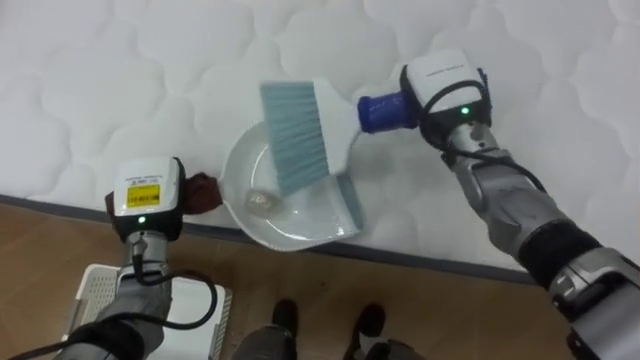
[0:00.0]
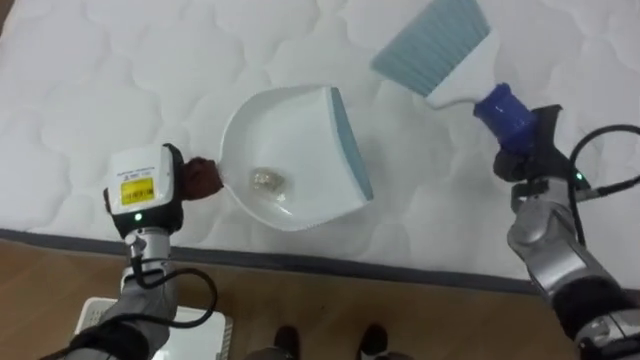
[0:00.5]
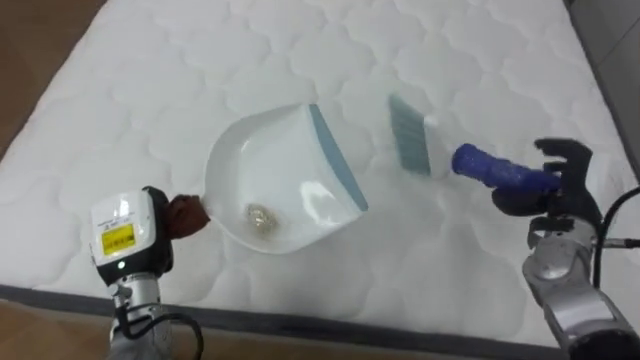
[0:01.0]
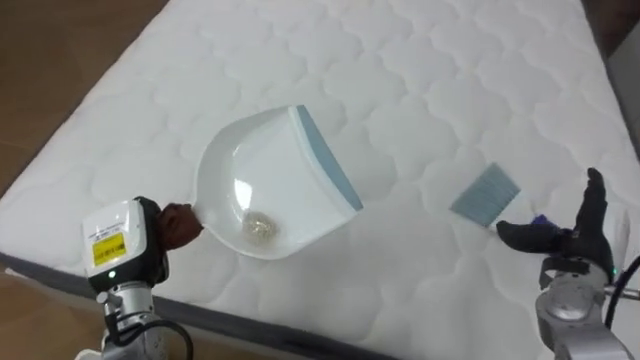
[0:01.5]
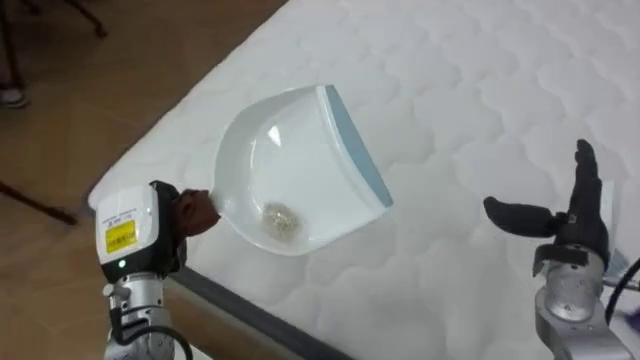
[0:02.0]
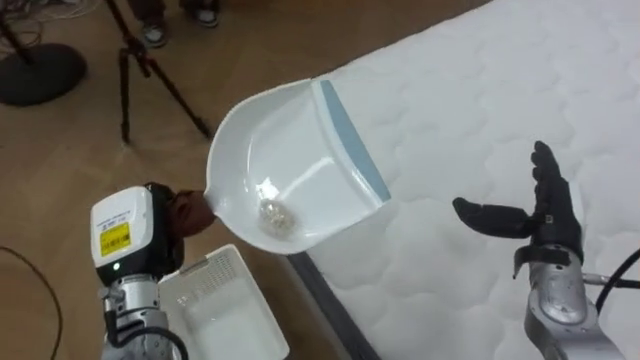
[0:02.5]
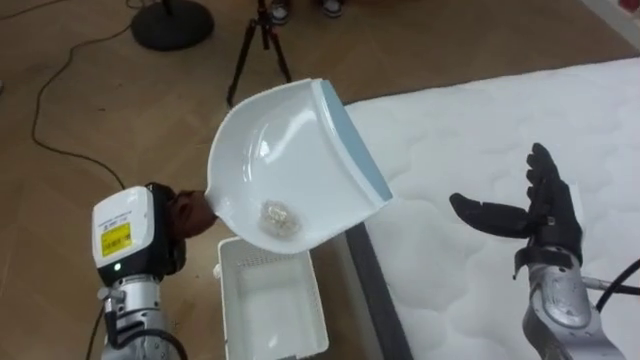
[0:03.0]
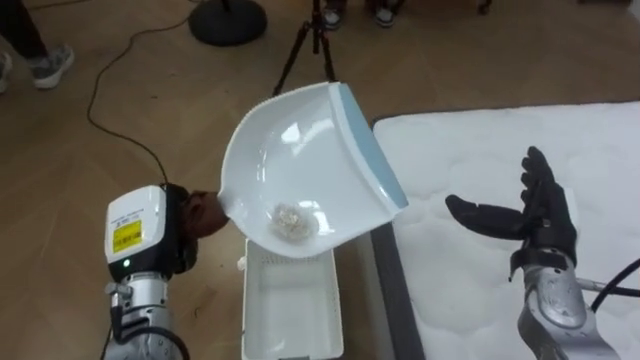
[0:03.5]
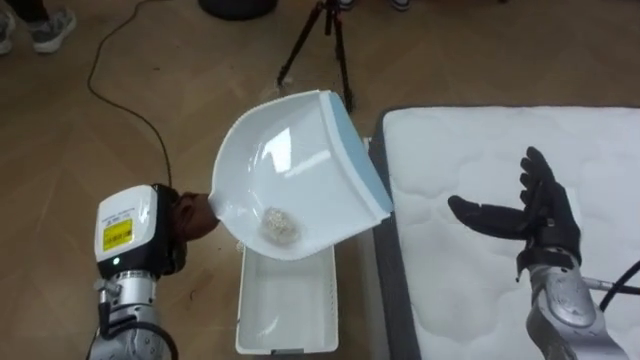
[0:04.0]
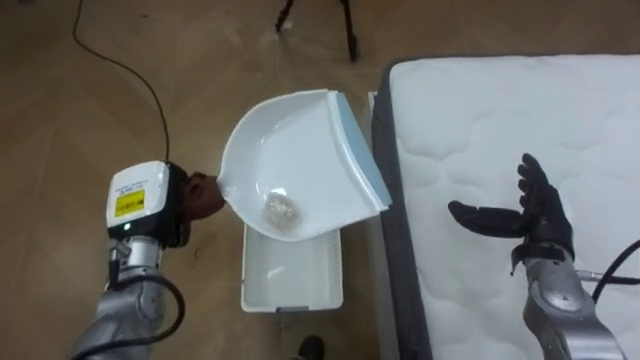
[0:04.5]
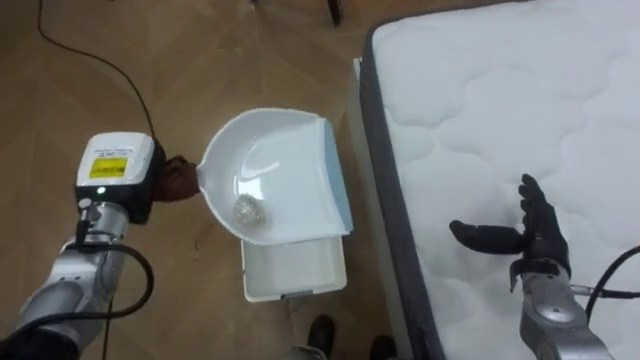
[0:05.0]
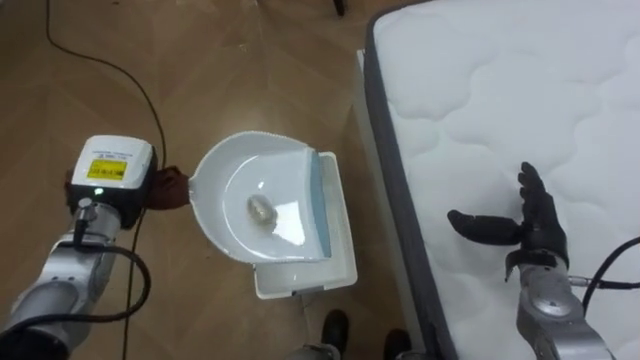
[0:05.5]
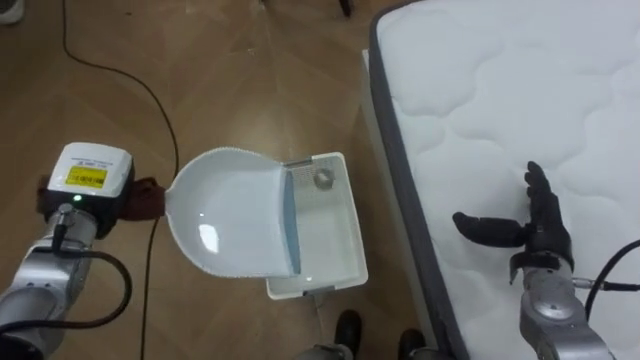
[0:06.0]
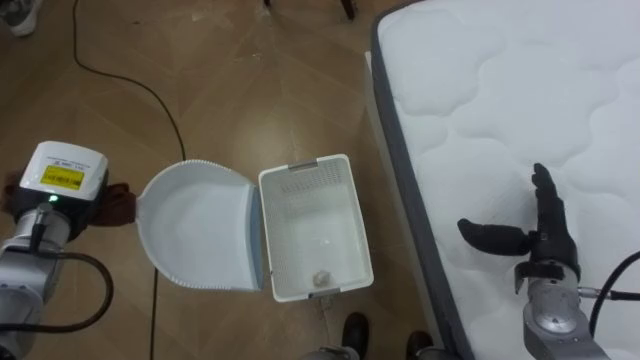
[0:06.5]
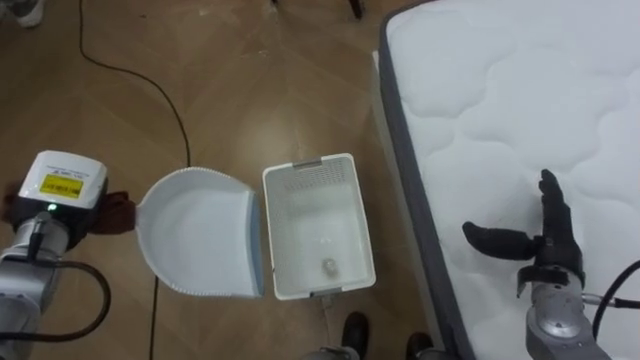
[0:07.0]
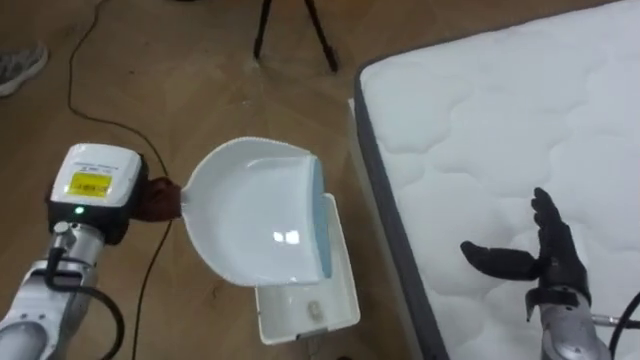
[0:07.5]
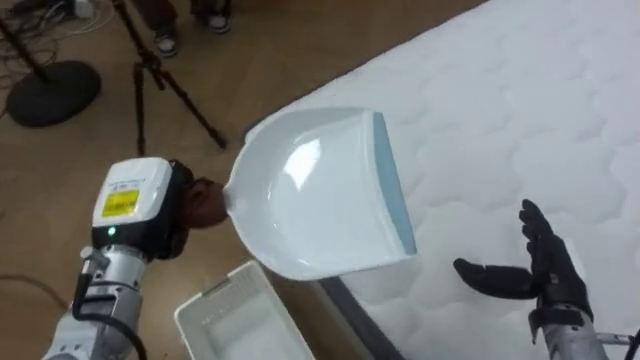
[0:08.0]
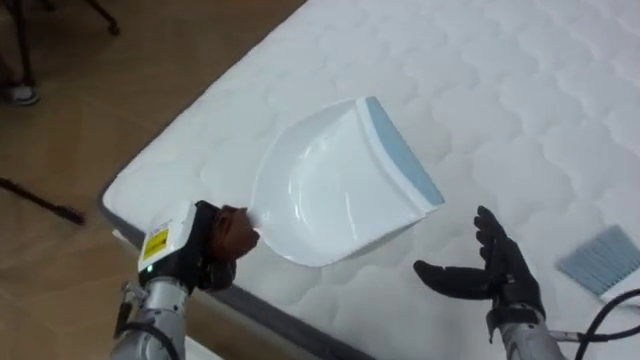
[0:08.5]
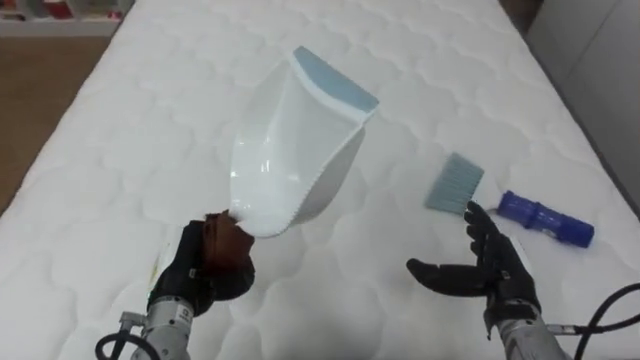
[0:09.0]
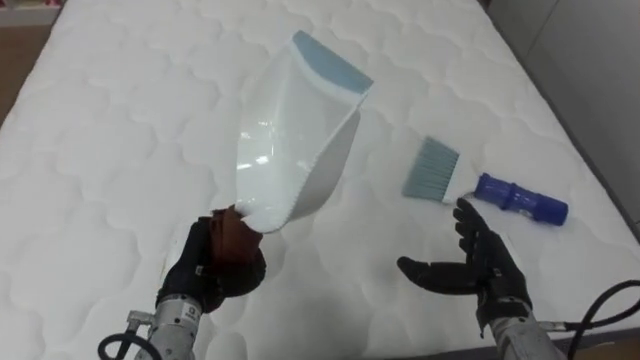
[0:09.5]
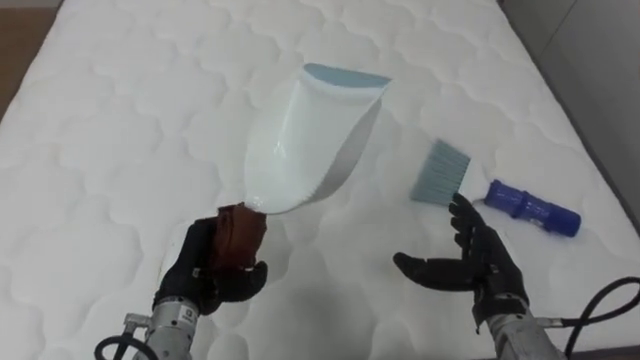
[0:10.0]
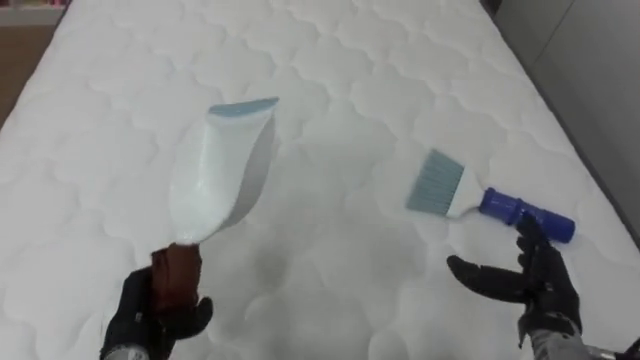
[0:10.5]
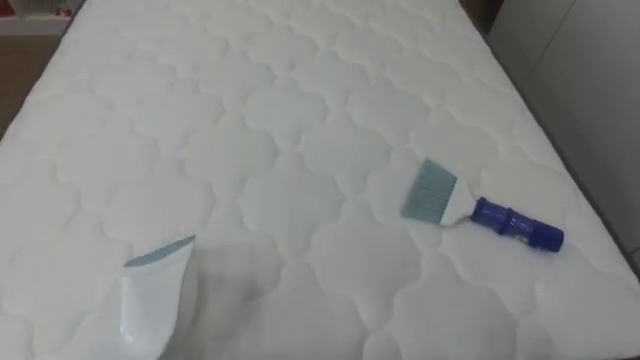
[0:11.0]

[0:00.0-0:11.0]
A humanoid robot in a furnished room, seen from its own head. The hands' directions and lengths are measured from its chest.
Task of the whole recording: Pick up the brush on your right and the dustpan on your left. Use the brush to sweep the crumpled paper on the bed into the dustpan, then turn left and empty it into the basket.
0:00.0 to 0:02.0: The robot turns to its left by about 30 degrees. The left hand is displaced backward by roughly 5 cm; the right hand travels to the right, backward and downward by roughly 25 cm, and opens up.
0:02.0 to 0:03.5: The robot's body swings approximately 55 degrees to its left.
0:03.5 to 0:05.5: The left hand heads forward, covering roughly 5 cm.
0:07.5 to 0:09.0: The robot's body swings approximately 75 degrees to its right. The right hand heads to the left, covering approximately 5 cm. The left hand goes approximately 15 cm to the right, downward and backward.

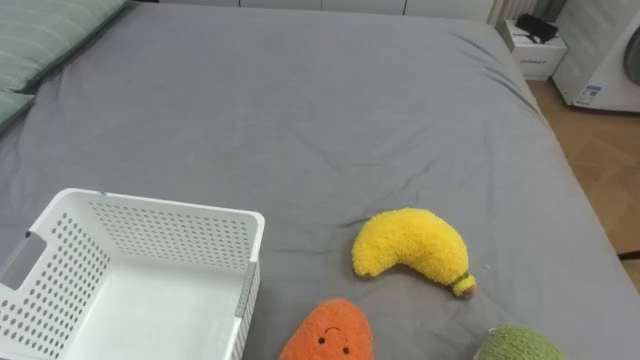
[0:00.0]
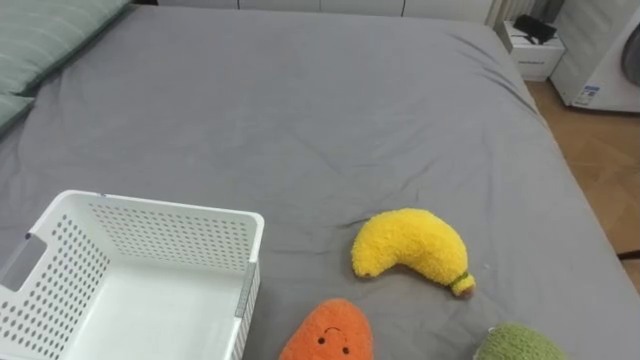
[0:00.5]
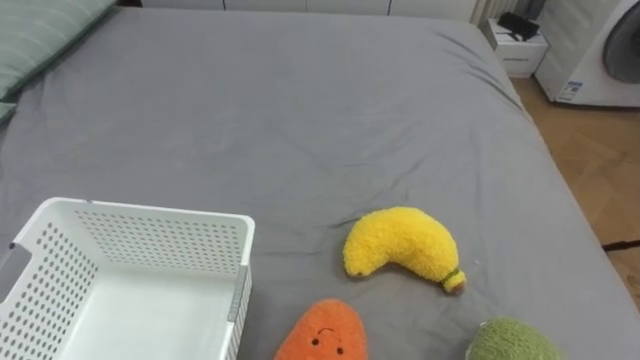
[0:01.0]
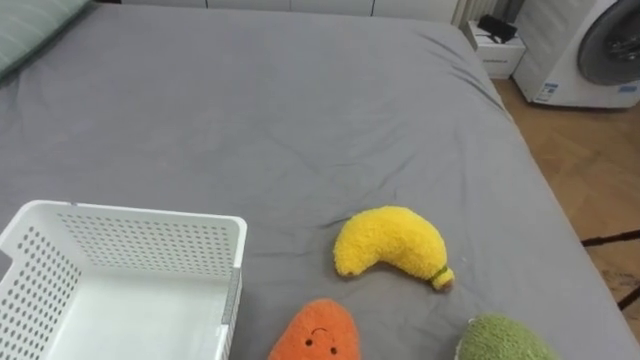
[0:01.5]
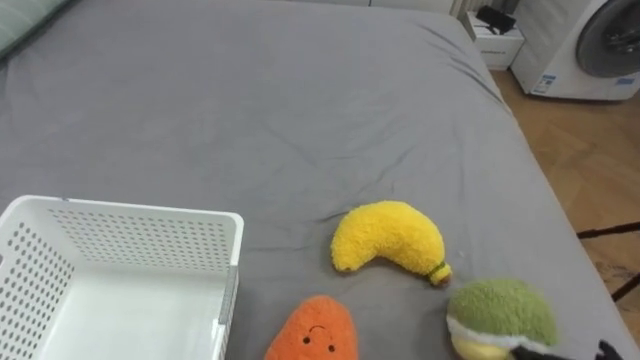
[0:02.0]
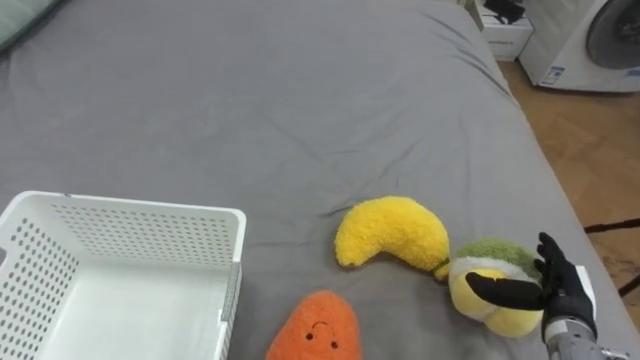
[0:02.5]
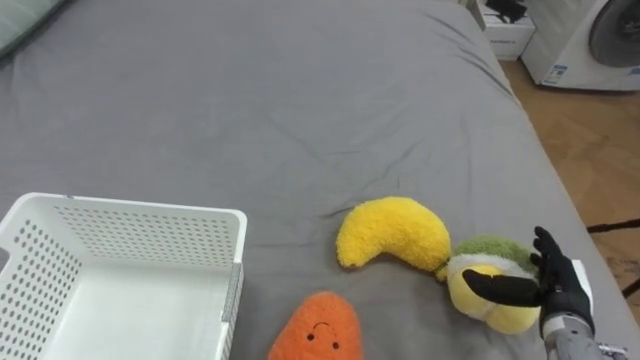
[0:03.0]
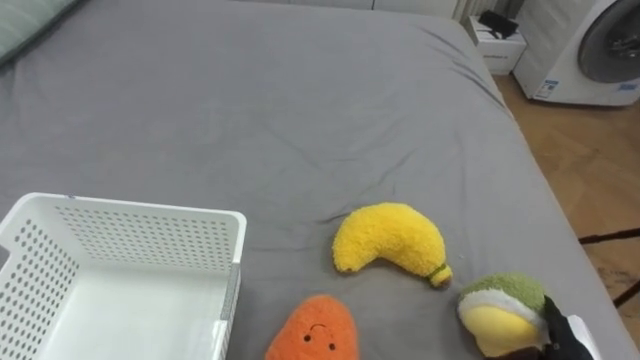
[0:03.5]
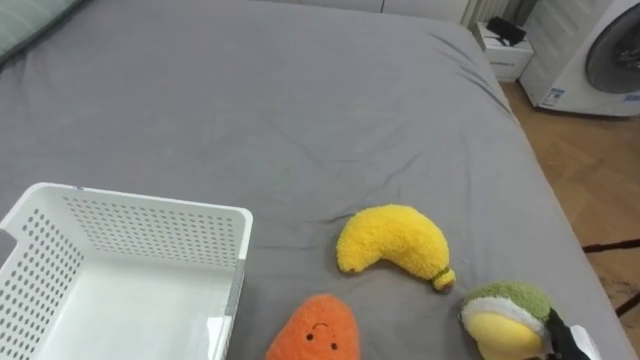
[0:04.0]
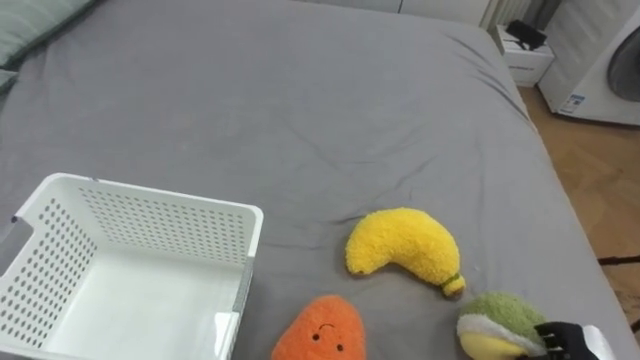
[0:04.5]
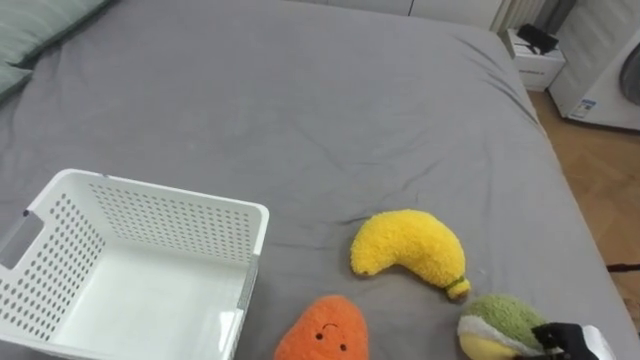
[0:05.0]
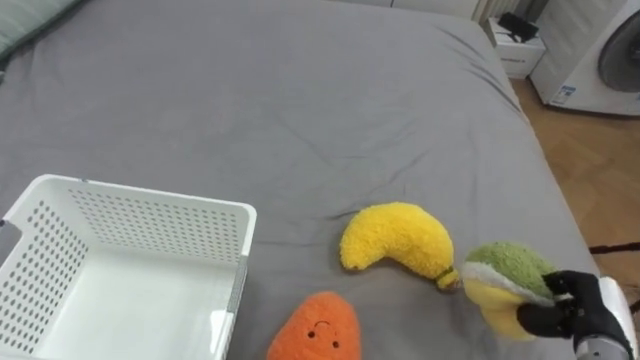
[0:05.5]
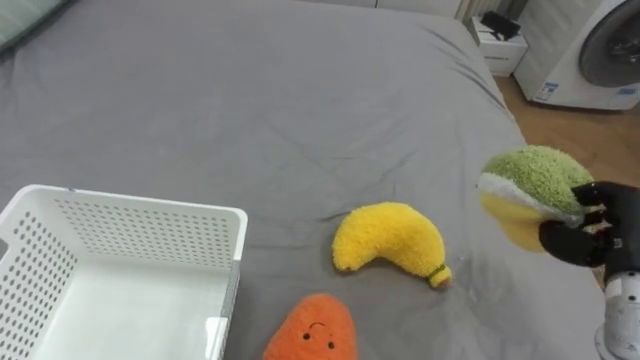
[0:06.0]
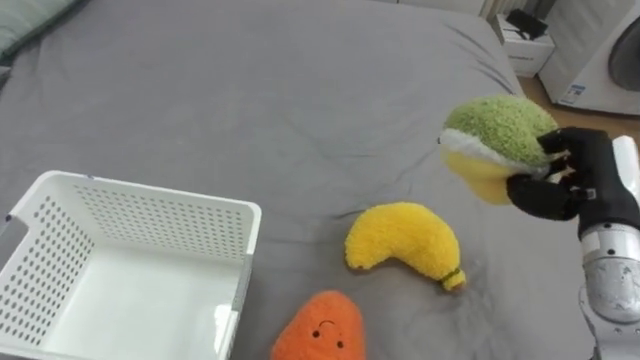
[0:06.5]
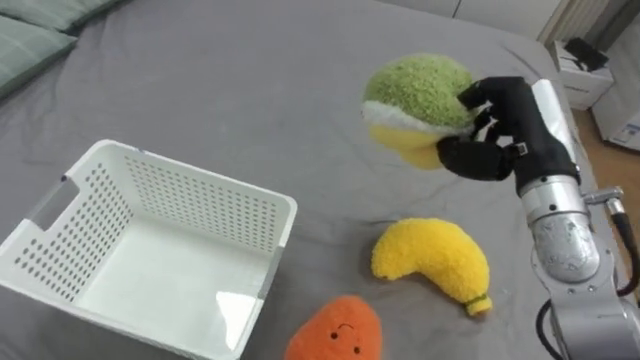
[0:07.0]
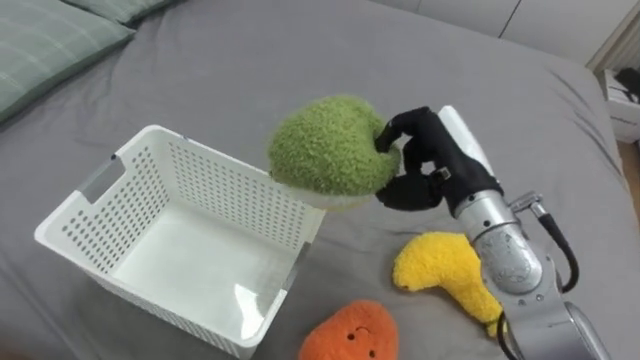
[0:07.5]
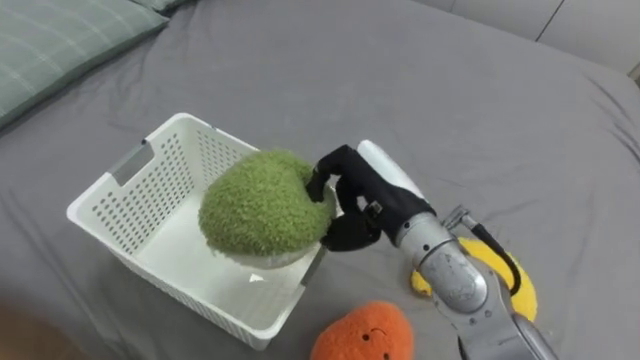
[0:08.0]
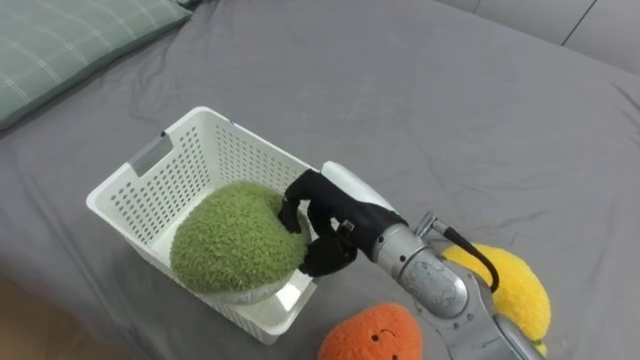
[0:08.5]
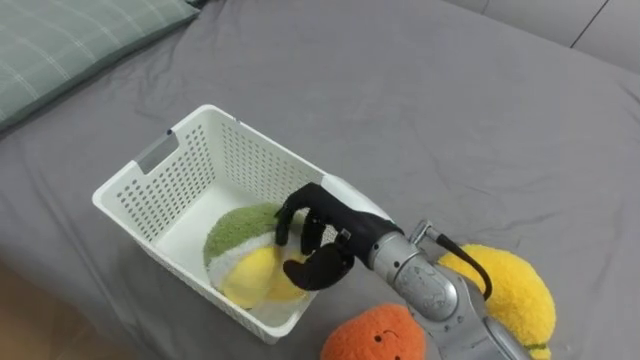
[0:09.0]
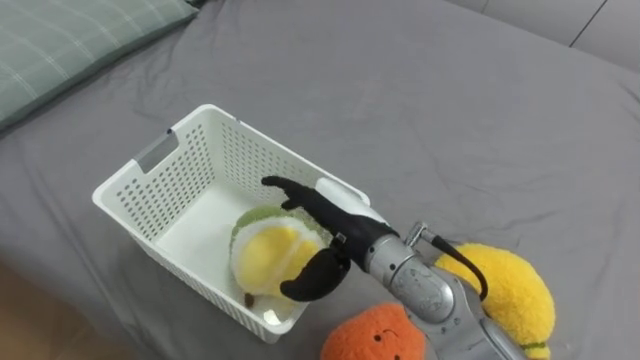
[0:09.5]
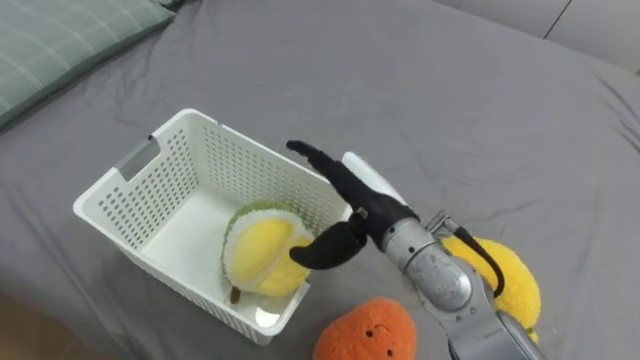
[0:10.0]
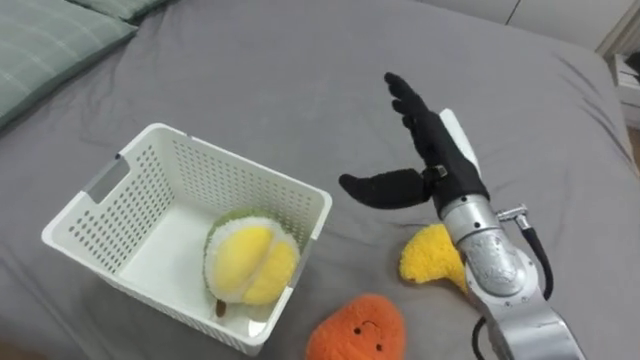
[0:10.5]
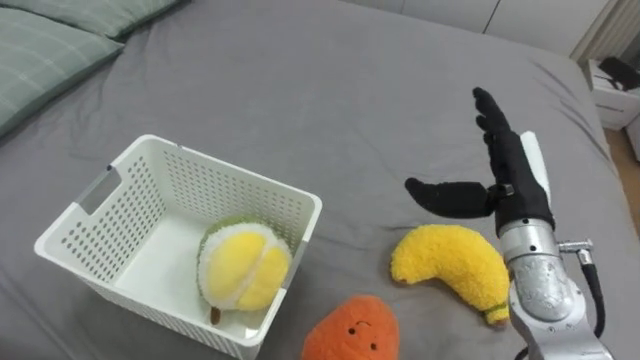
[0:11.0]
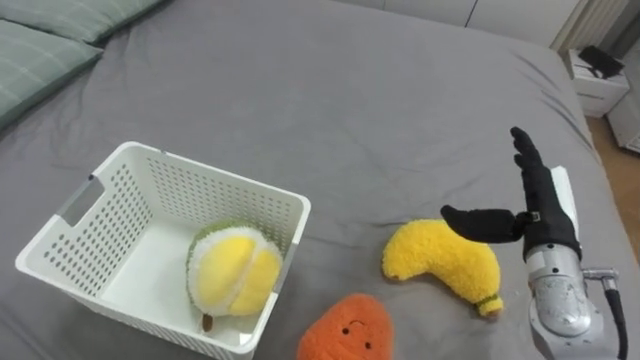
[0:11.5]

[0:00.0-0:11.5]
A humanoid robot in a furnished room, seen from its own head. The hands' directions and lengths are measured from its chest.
Task of the whole recording: Put the toys on the bed into the basket on the left.
0:06.0 to 0:07.5: The right hand goes about 20 cm to the left.
0:07.5 to 0:09.5: The right hand moves to the left and downward, roughly 15 cm, and opens its fingers.
0:09.5 to 0:11.5: The right hand is displaced to the right by some 25 cm.
